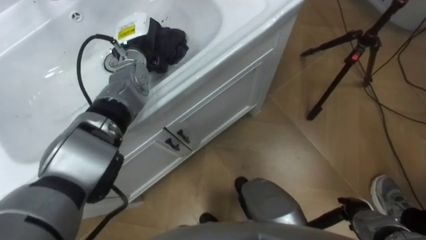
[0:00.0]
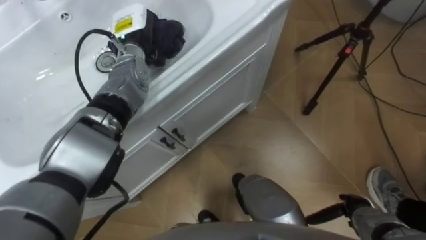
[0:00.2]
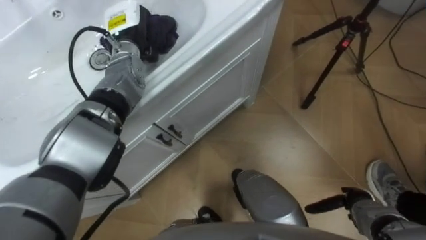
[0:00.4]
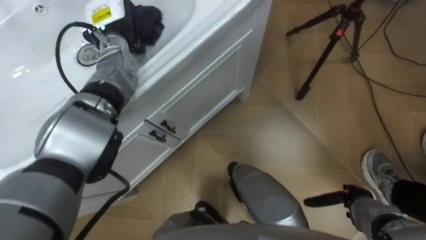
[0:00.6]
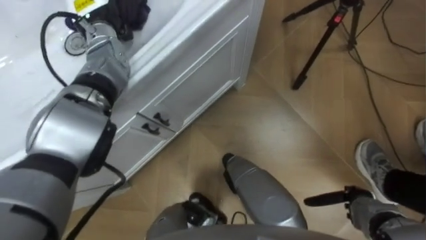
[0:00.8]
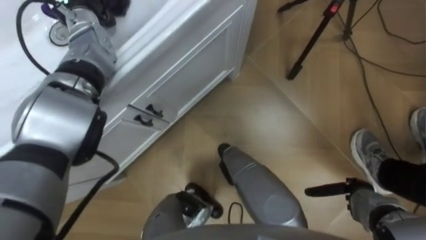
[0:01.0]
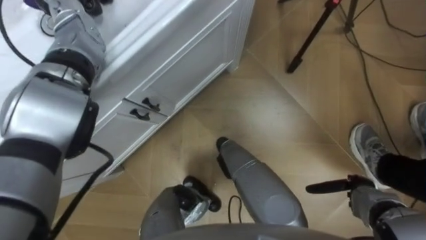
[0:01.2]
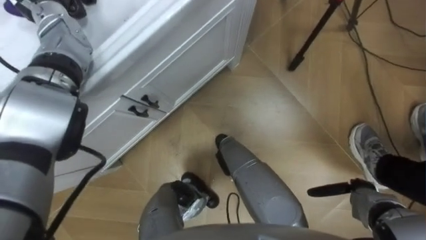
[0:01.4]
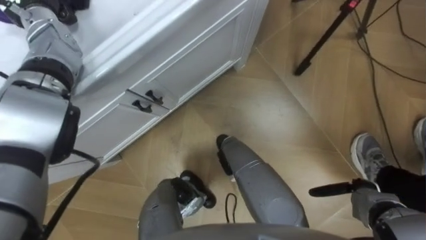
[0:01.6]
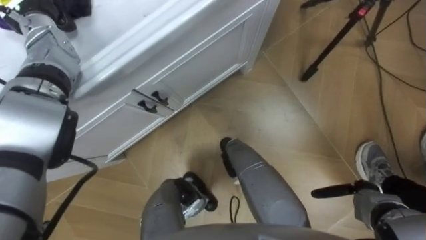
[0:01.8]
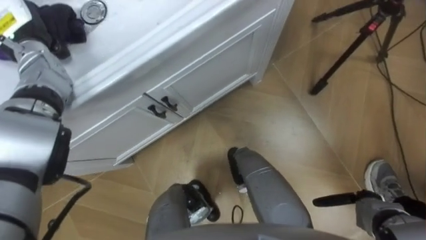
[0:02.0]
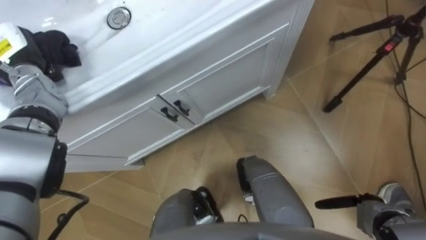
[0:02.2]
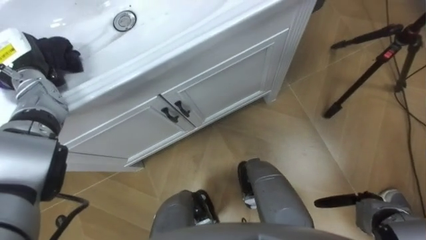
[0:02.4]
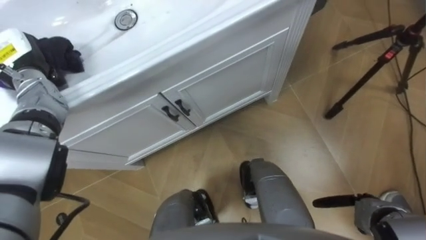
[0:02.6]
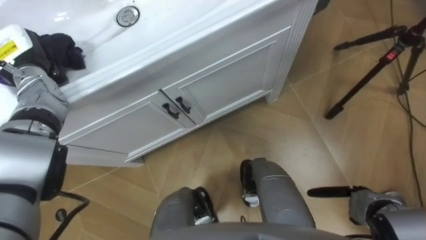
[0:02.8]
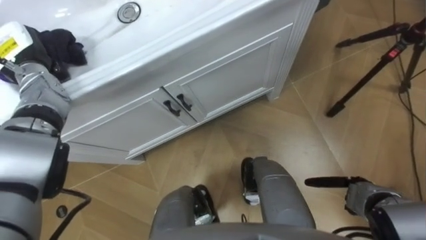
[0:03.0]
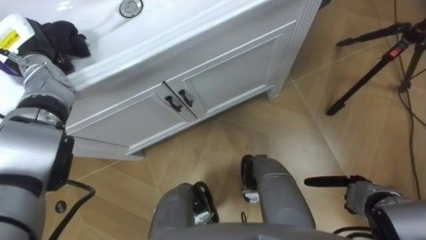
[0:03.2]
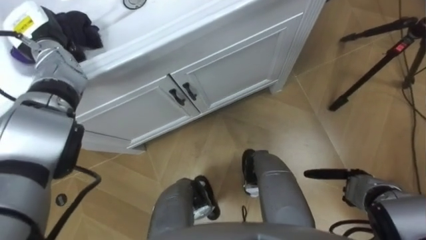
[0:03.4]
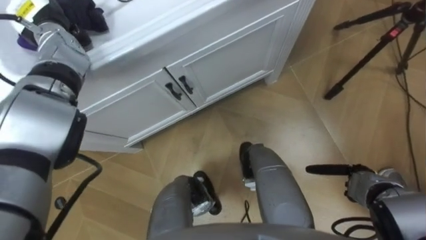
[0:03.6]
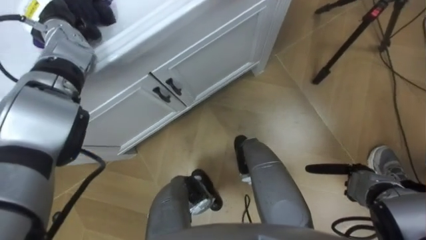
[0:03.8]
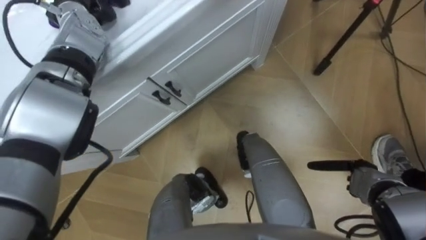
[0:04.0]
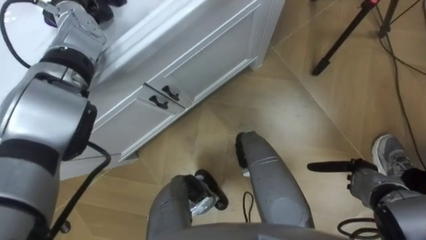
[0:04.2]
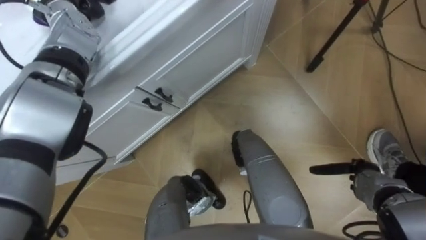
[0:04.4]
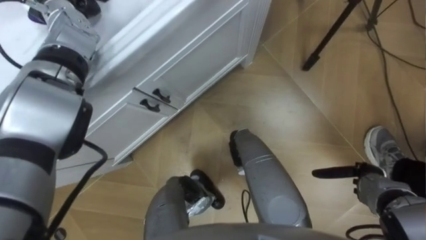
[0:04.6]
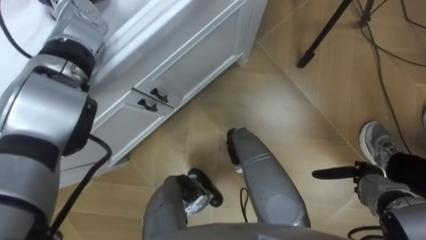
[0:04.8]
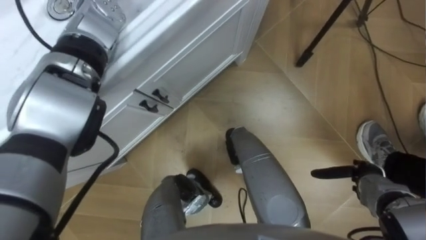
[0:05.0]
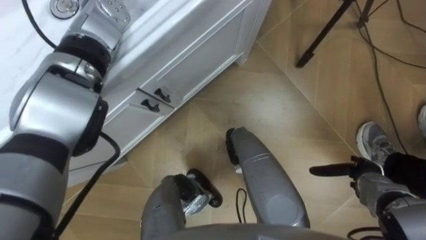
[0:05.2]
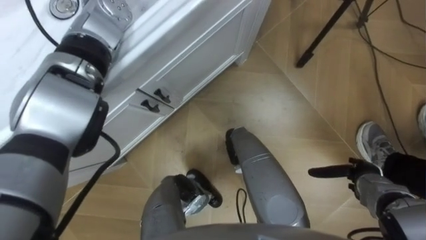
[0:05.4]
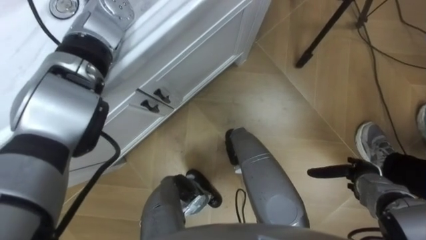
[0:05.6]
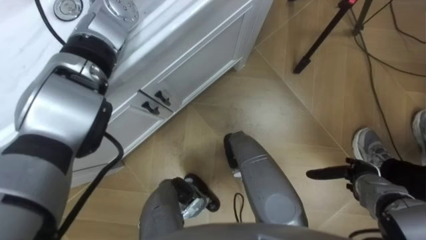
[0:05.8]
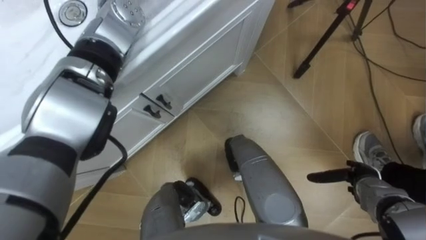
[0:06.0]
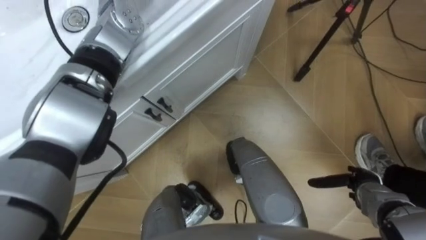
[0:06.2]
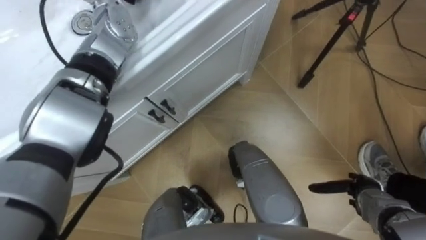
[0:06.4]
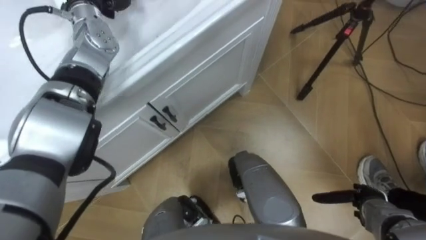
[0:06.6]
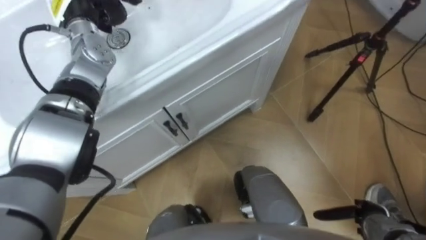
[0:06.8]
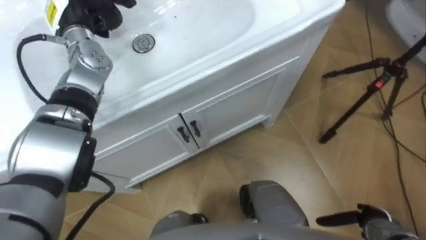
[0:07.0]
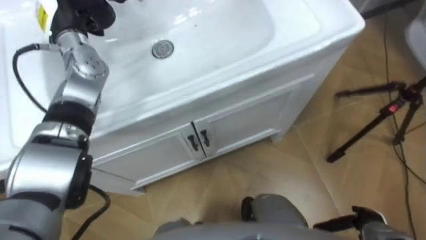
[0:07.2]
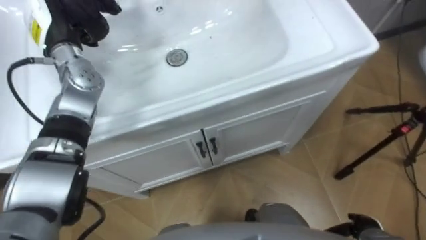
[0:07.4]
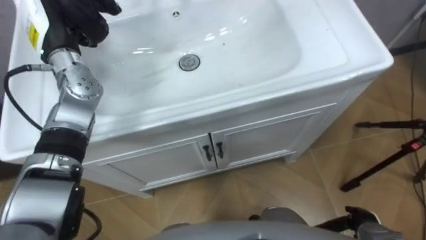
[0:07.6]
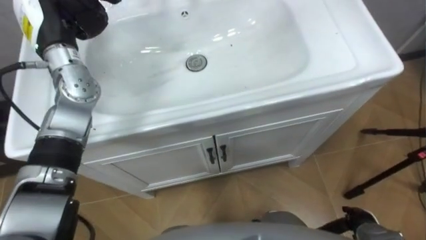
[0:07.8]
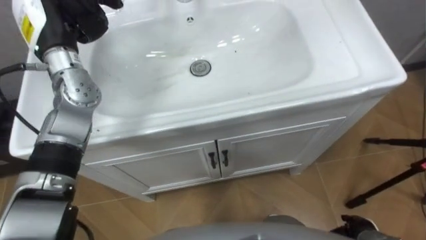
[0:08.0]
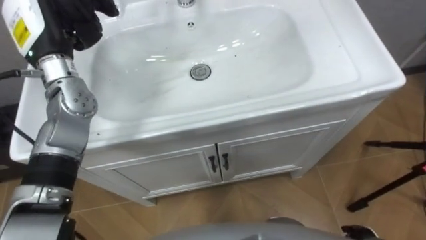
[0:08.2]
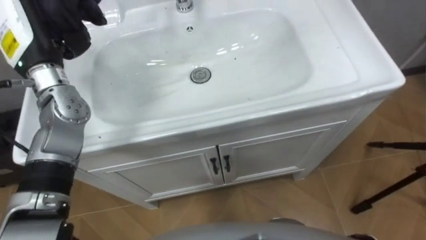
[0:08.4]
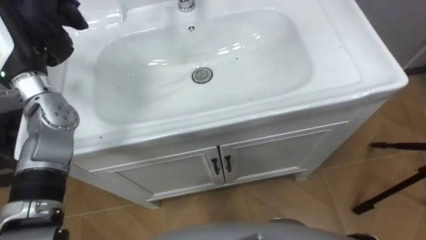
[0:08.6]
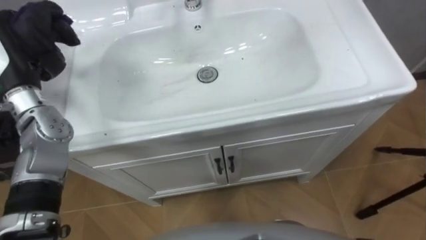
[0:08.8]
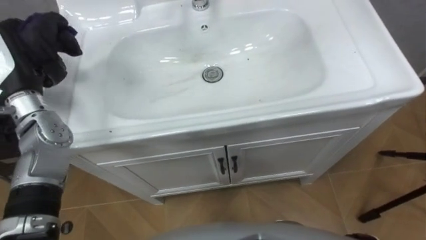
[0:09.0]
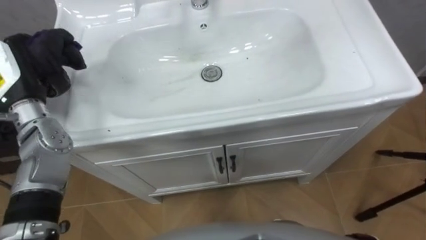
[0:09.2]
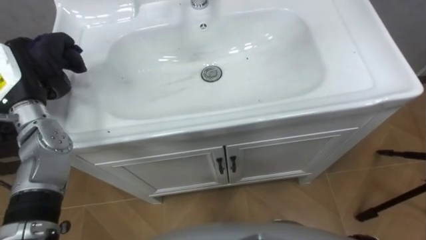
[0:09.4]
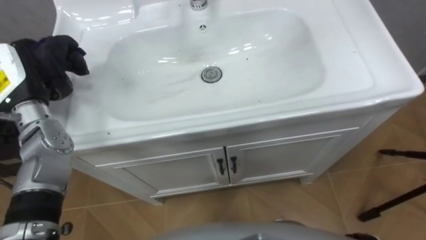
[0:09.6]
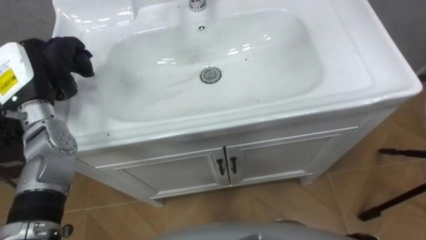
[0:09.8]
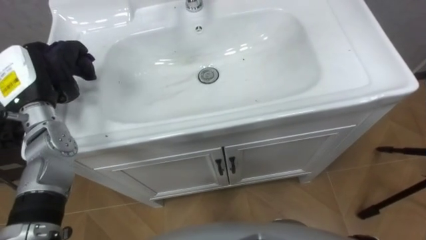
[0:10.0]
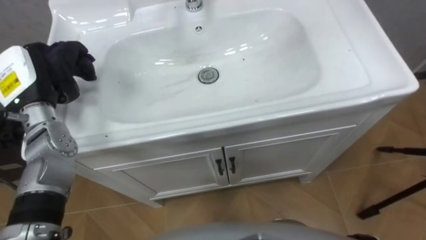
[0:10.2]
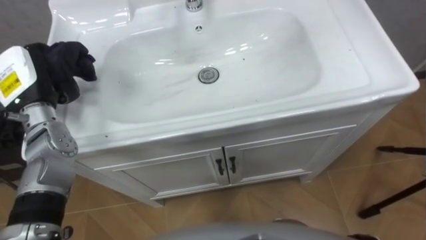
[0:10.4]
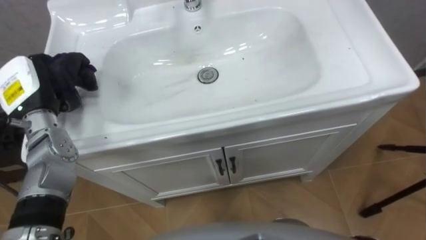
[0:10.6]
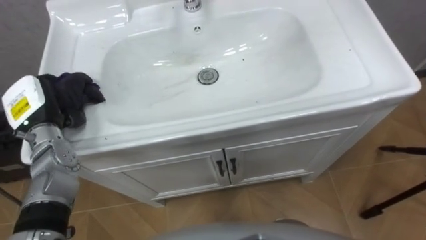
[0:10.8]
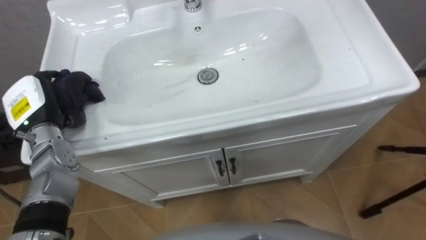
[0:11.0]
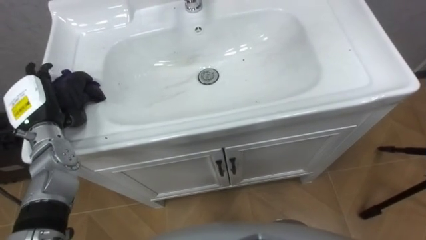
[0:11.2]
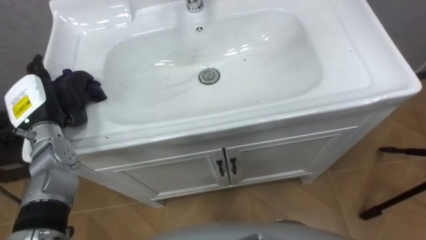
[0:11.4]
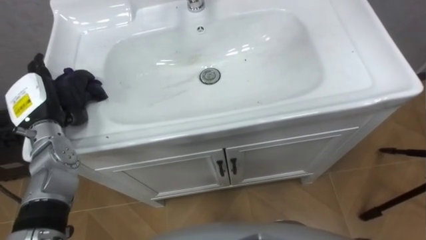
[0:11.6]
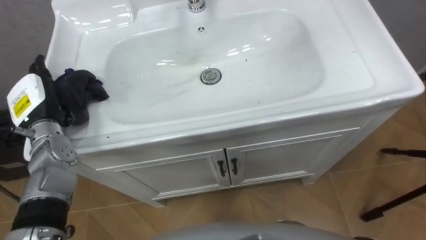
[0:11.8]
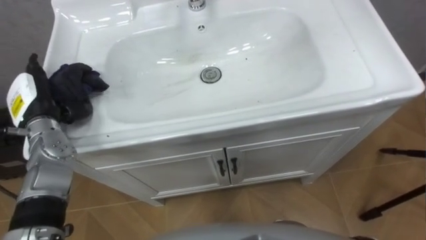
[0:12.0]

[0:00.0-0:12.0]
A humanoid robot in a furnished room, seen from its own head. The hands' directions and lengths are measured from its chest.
Task of the whole recording: Use the cloth on the right to wipe away the black stain in the sink.
0:10.4 to 0:12.0: The left hand ends up about 5 cm from where it was, and opens up.

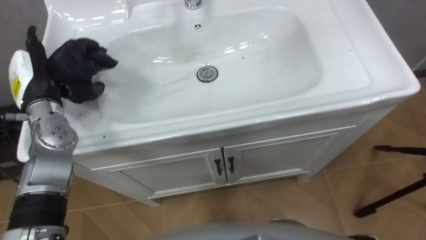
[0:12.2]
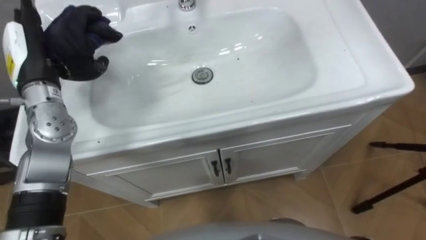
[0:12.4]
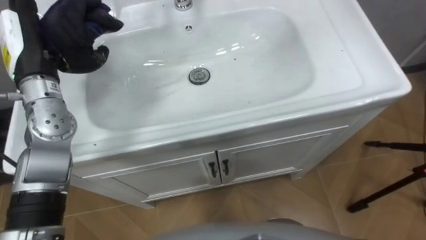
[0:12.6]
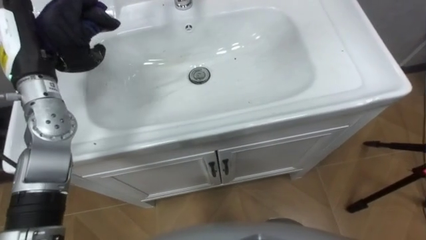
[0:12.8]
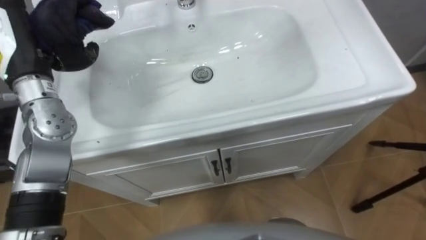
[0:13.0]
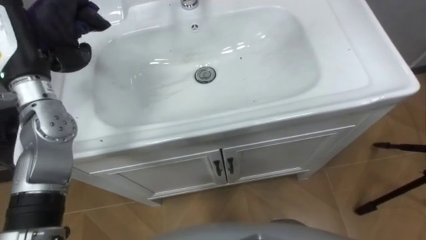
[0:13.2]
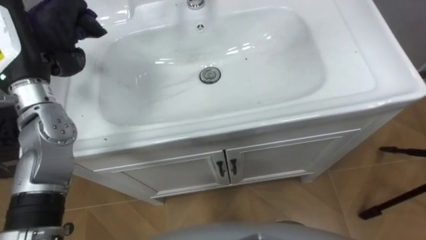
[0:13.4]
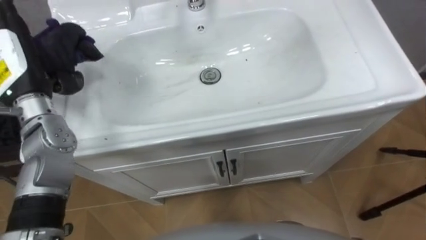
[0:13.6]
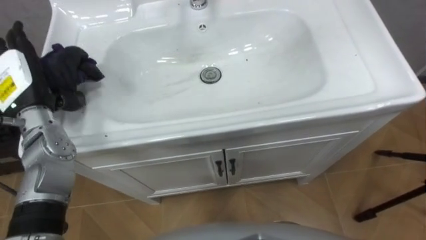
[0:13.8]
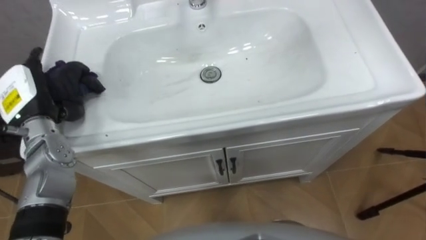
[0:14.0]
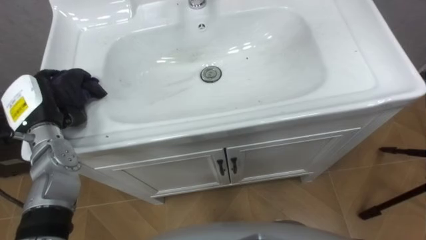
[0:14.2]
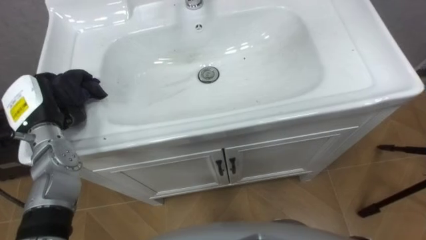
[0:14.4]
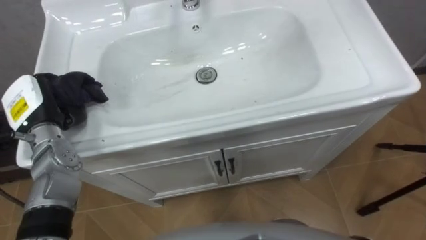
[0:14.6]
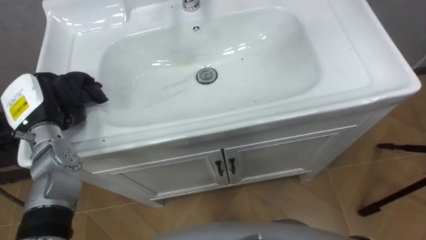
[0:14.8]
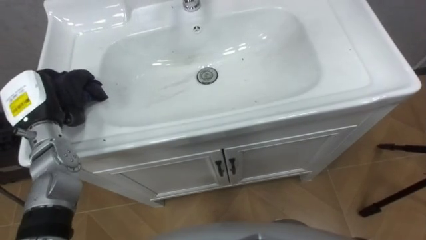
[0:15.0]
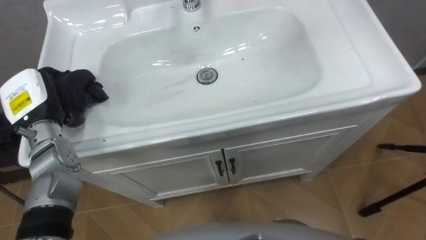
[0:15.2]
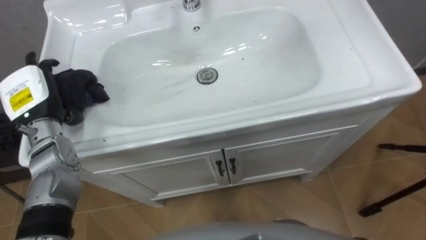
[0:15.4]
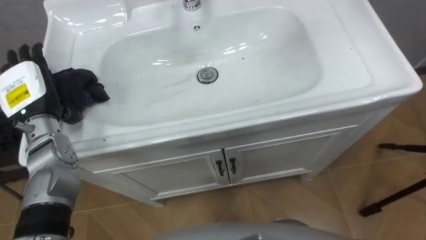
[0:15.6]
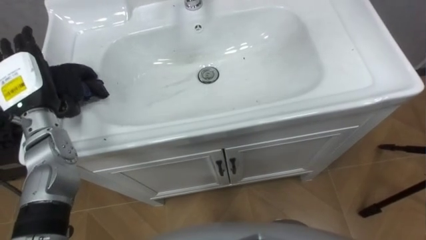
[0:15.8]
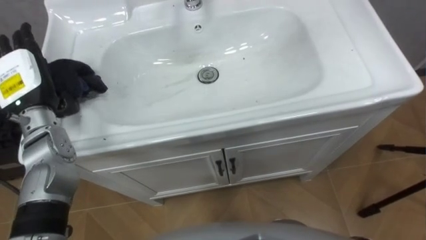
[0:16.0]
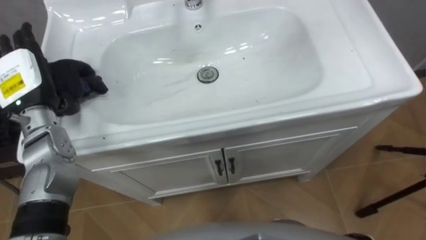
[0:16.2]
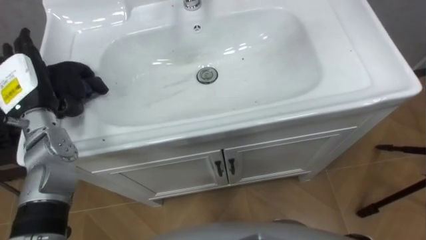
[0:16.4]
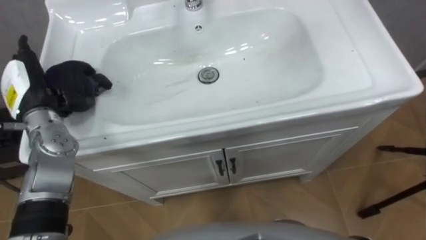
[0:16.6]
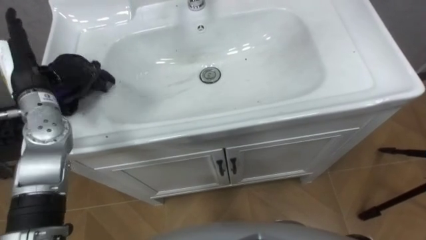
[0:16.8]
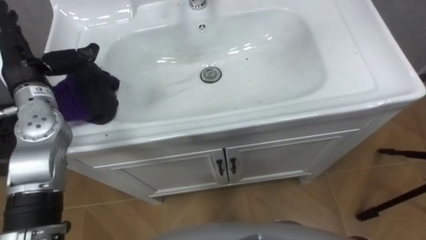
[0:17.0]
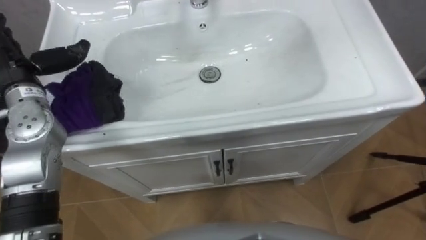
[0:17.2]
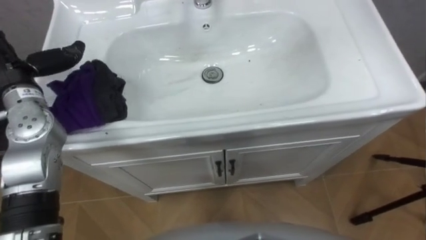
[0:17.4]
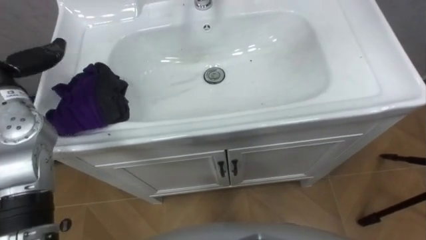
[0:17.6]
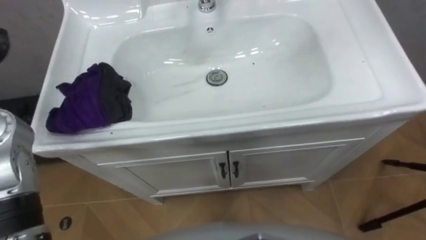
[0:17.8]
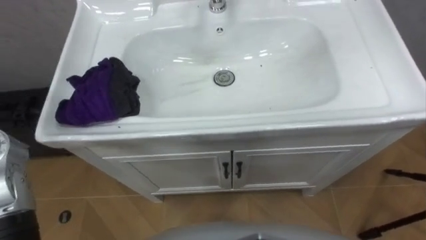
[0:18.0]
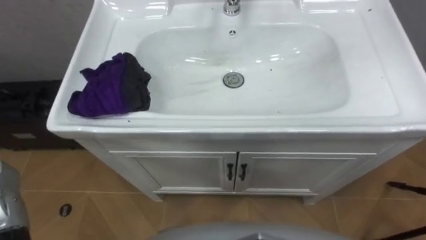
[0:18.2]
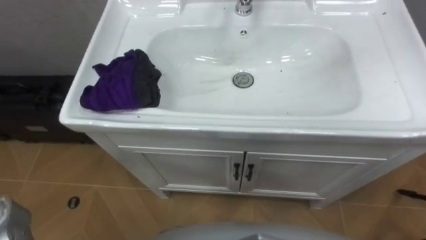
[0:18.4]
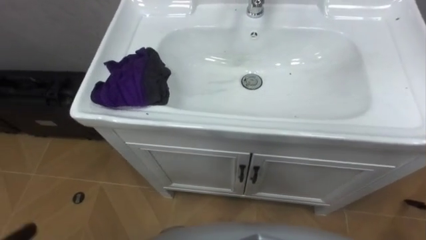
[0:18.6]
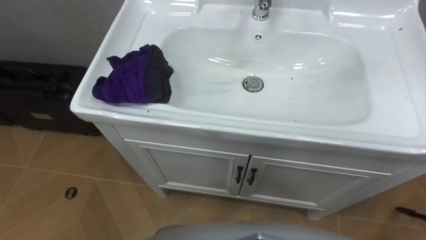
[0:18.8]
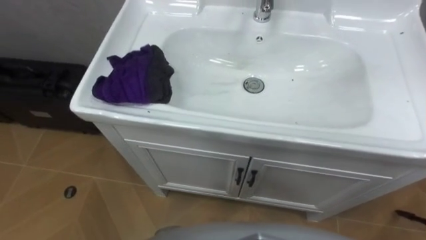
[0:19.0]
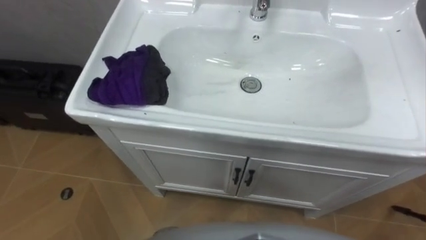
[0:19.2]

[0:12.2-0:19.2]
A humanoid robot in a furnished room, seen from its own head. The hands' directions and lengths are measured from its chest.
Task of the whole recording: Use the cloth on the right to wipe away the black stain in the sink.
0:13.6 to 0:15.0: The left hand heads downward, covering approximately 5 cm, and closes up.
0:15.0 to 0:16.4: The left hand opens its fingers.
